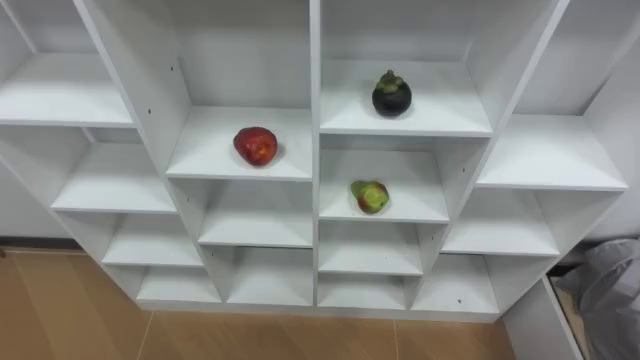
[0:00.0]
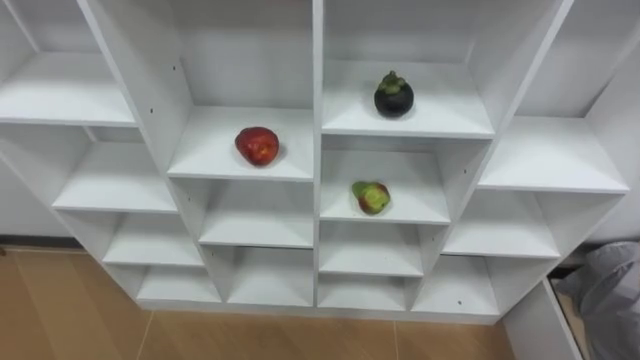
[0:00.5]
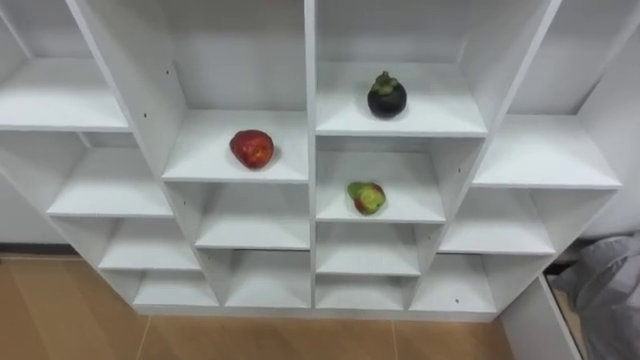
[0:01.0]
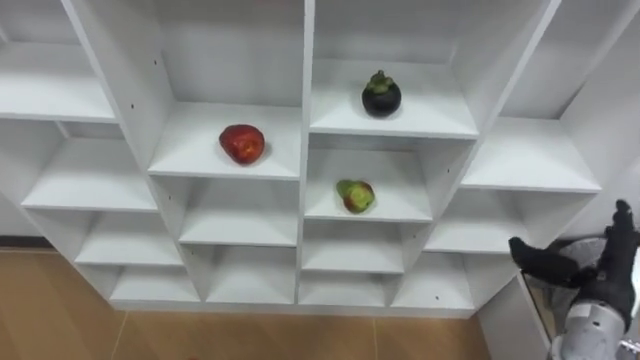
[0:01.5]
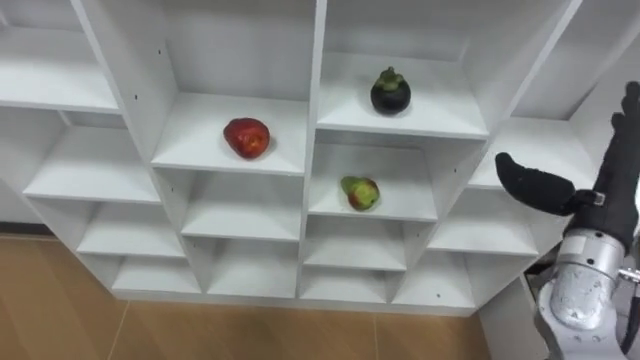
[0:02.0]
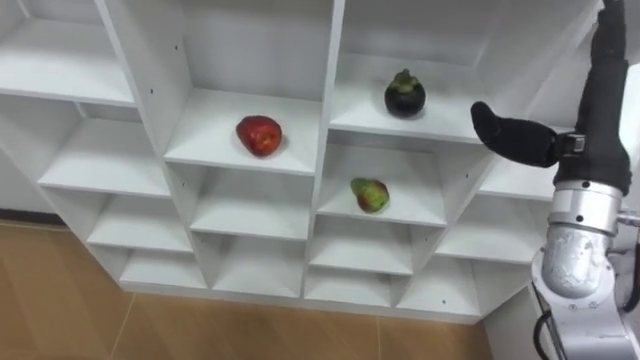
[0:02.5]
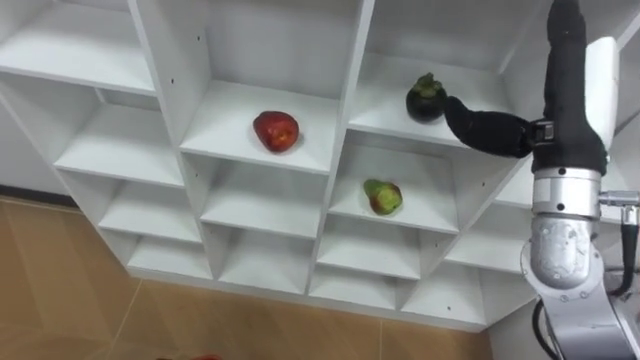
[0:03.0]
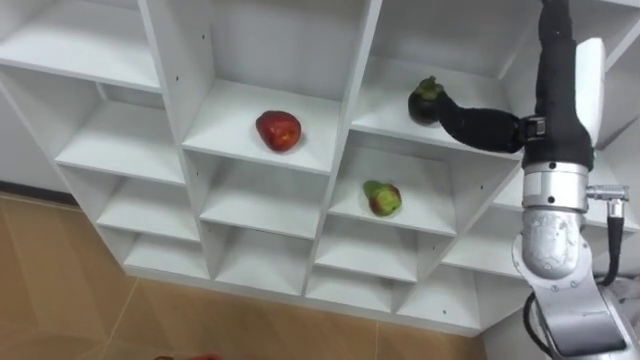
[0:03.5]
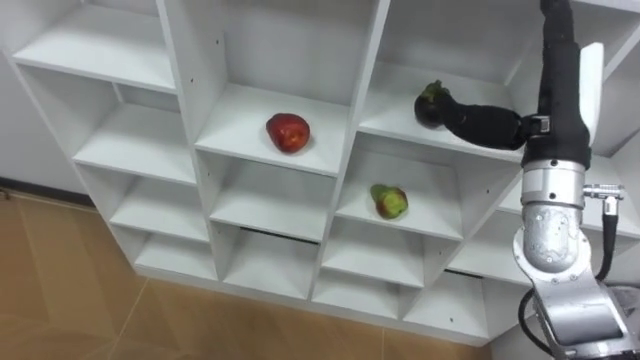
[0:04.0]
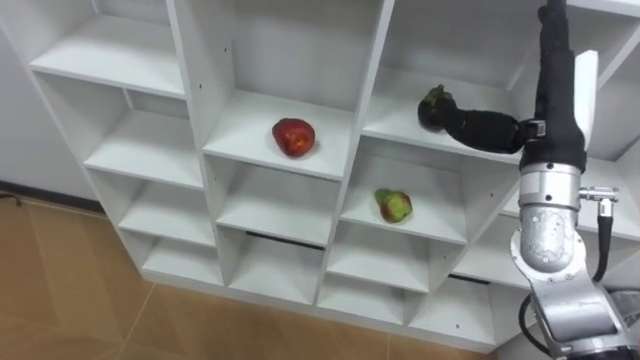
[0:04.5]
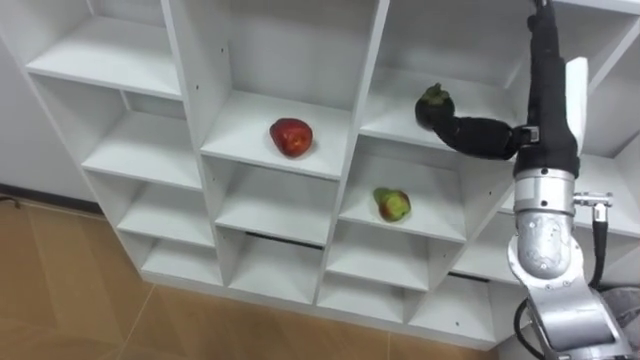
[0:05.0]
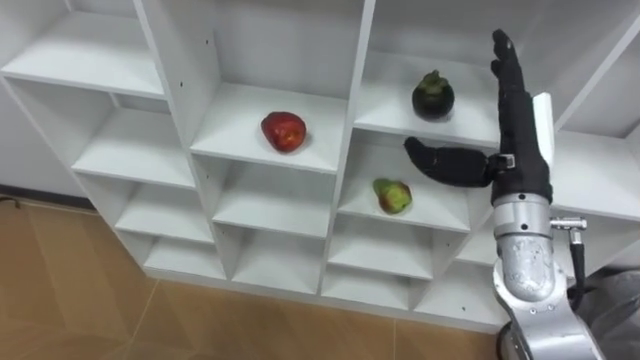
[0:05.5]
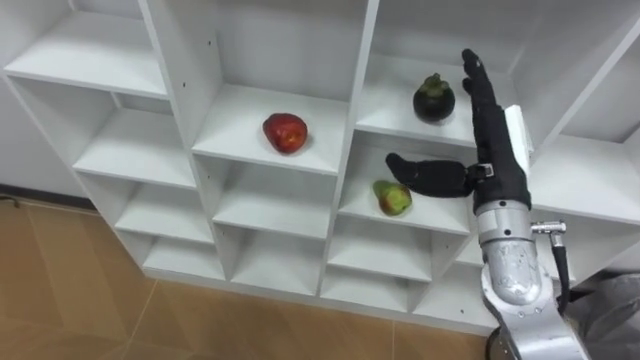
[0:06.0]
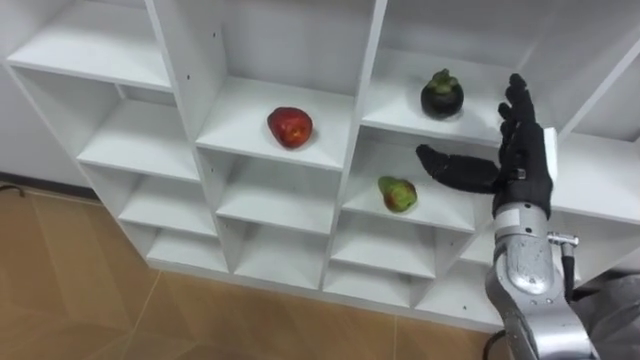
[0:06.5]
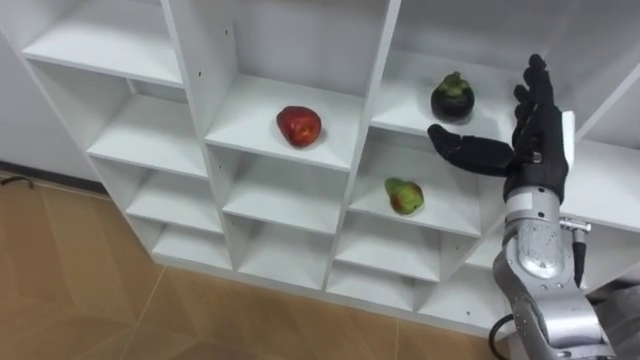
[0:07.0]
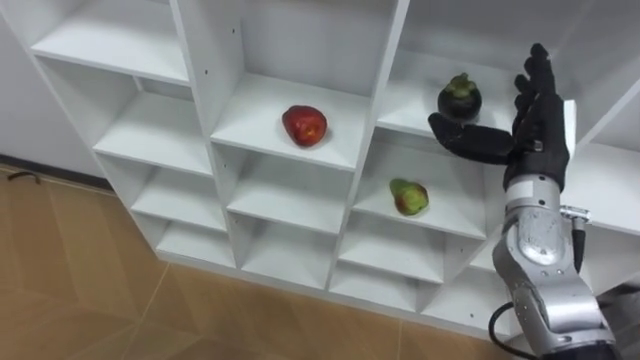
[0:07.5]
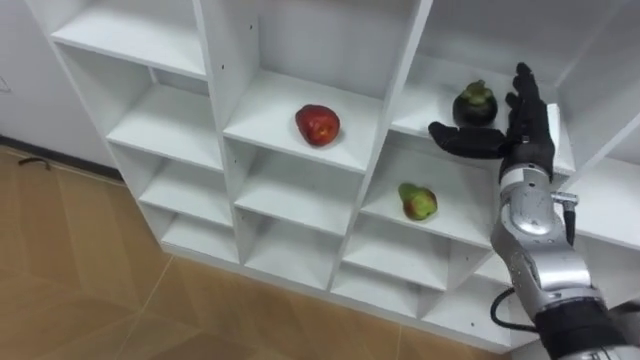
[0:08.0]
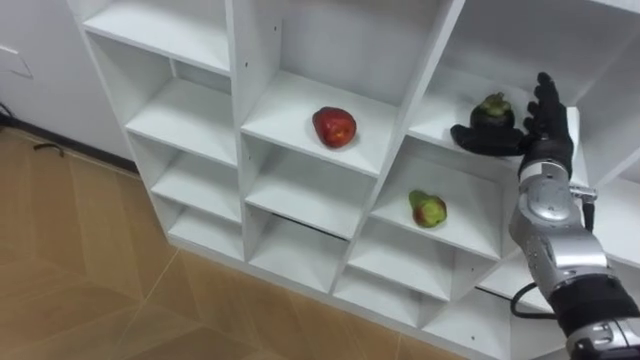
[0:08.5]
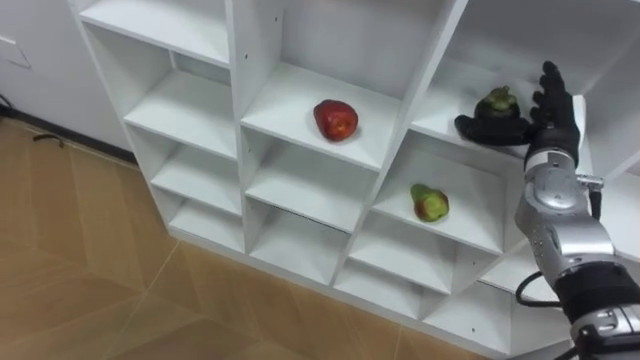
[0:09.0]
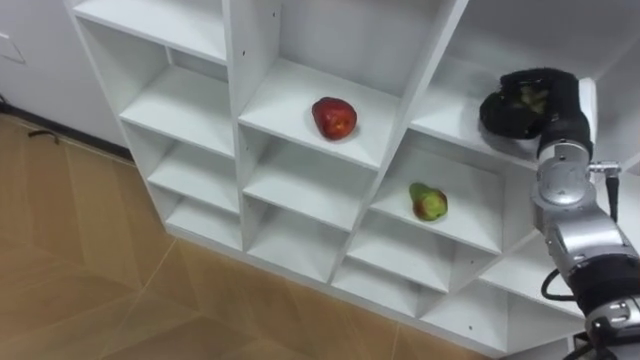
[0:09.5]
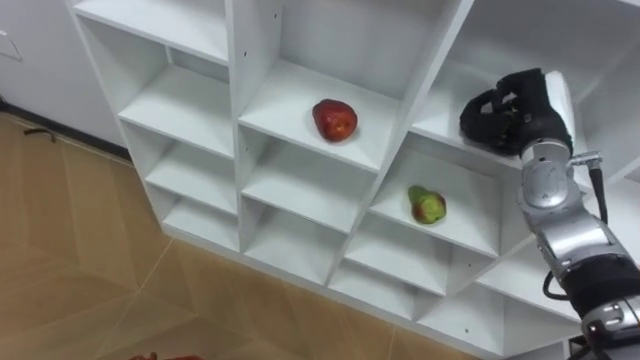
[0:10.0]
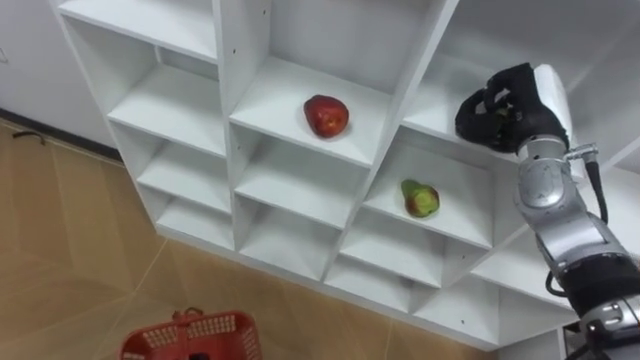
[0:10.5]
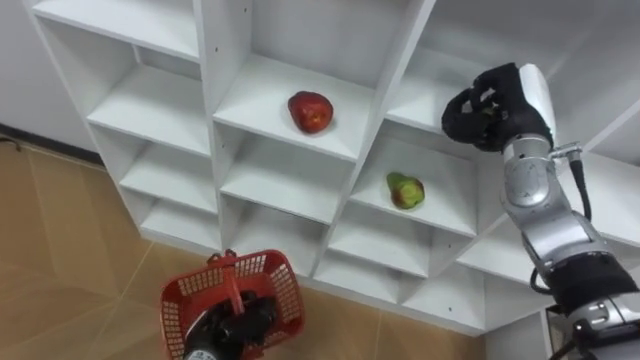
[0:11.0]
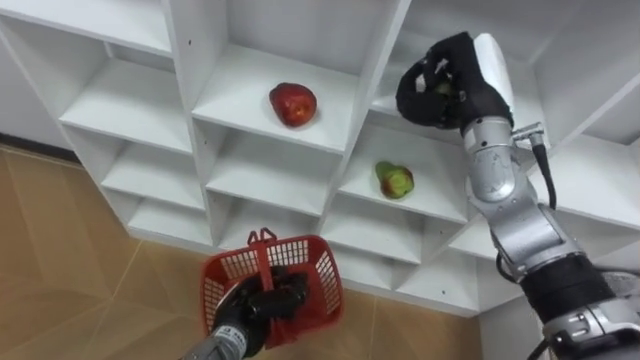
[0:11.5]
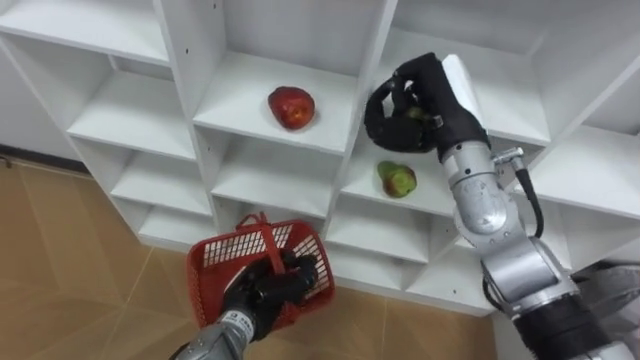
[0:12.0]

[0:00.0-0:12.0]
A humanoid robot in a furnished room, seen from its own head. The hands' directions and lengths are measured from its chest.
Task of the whole recording: Hold the basket and collect the fruits from 3 different cells of the closet into it.
0:02.0 to 0:04.0: The right hand moves upward, to the left and forward, roughly 10 cm.
0:04.0 to 0:06.0: The right hand is displaced downward by some 5 cm.
0:06.0 to 0:08.0: The right hand is displaced to the right and forward by some 10 cm.
0:08.0 to 0:10.0: The right hand closes up.
0:10.0 to 0:12.0: The right hand shifts roughly 10 cm to the left.

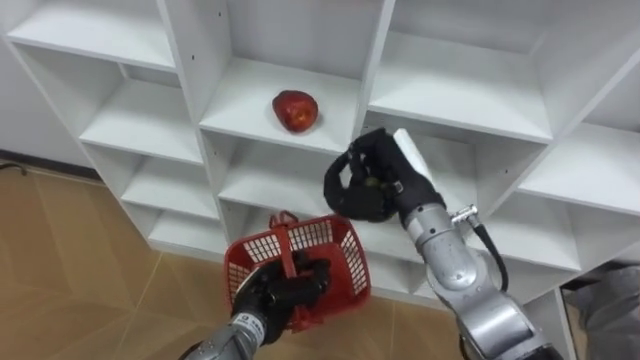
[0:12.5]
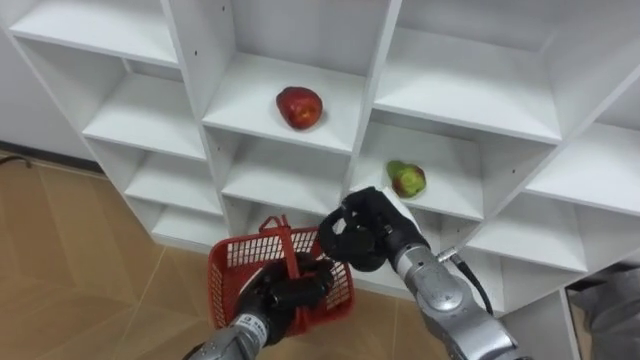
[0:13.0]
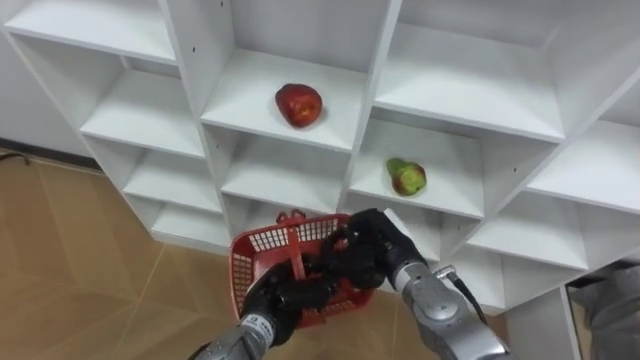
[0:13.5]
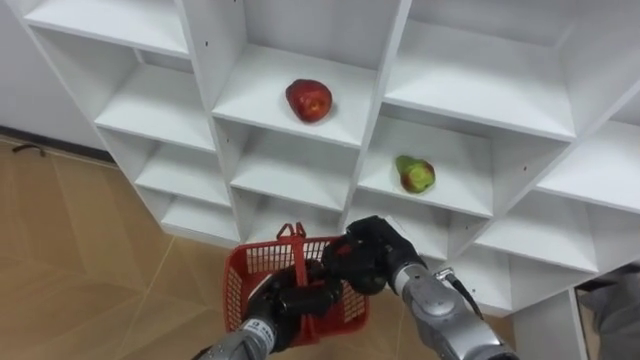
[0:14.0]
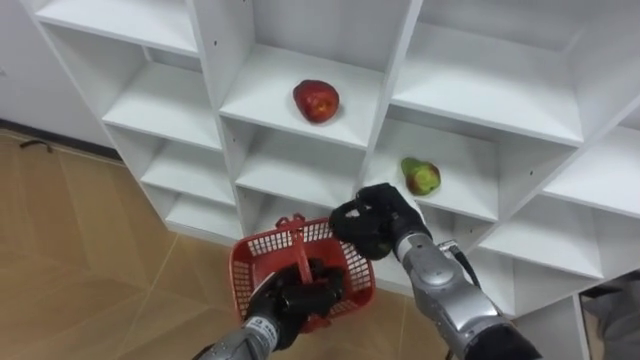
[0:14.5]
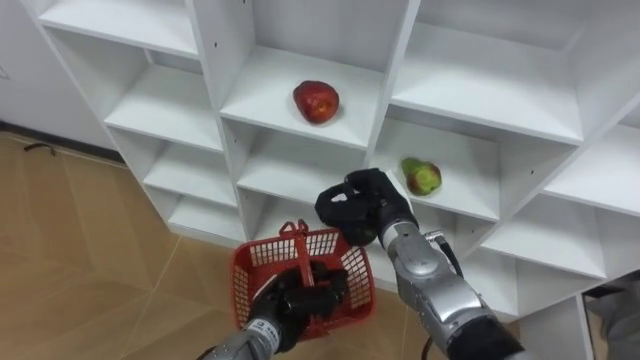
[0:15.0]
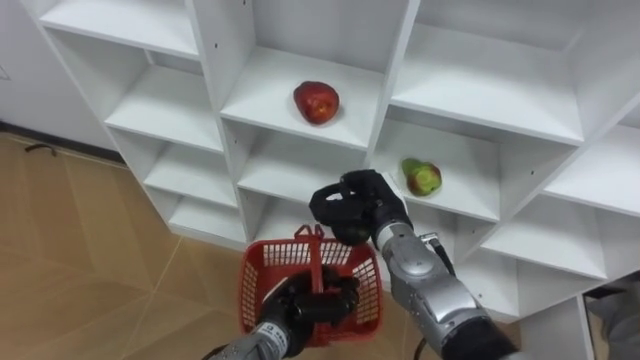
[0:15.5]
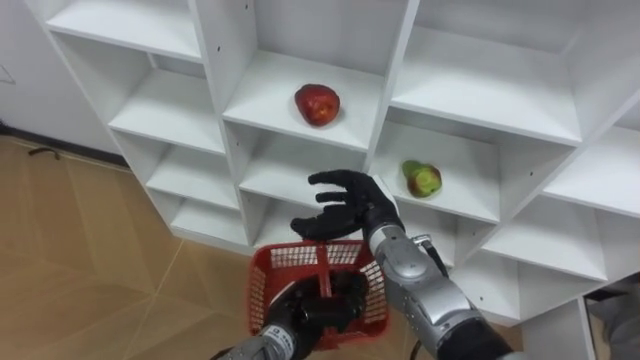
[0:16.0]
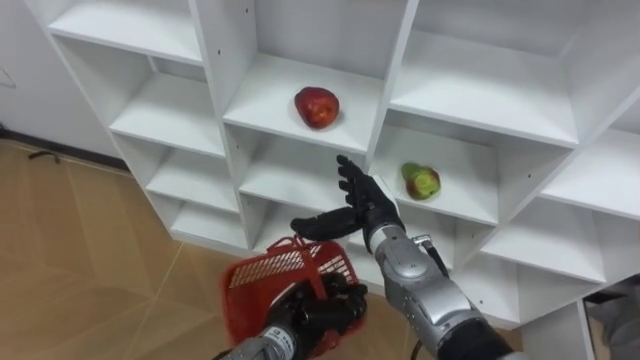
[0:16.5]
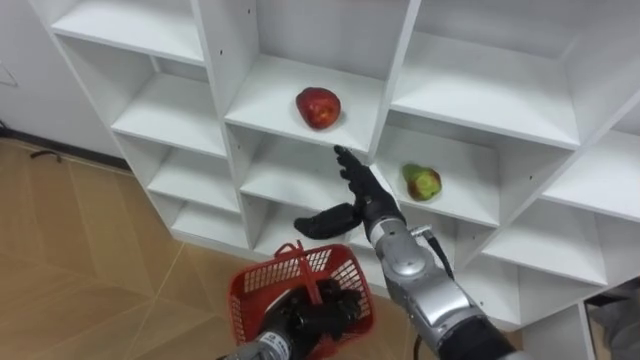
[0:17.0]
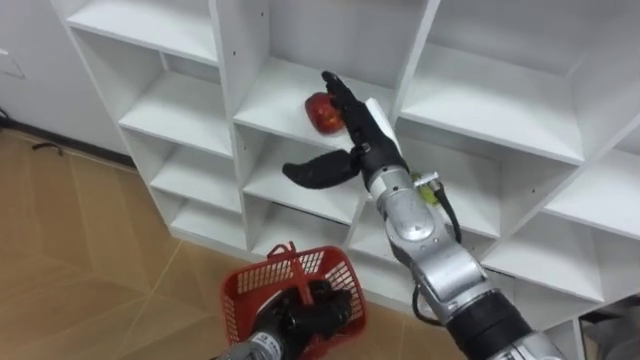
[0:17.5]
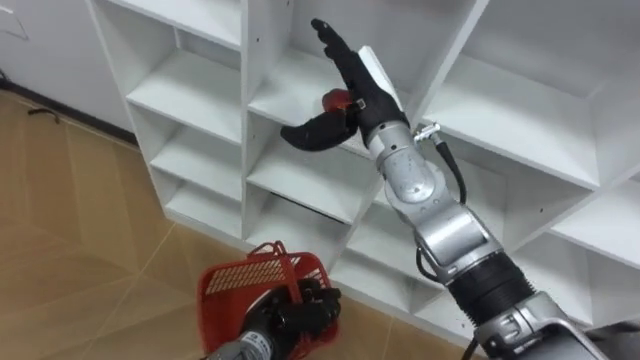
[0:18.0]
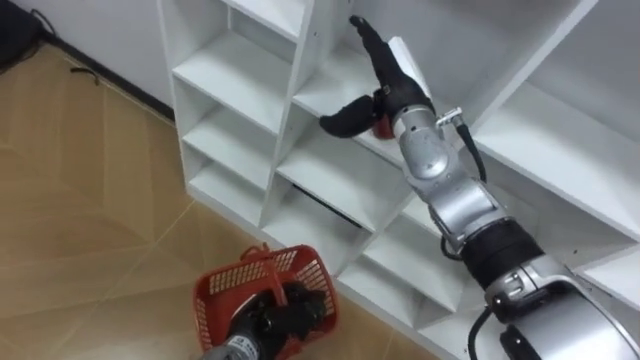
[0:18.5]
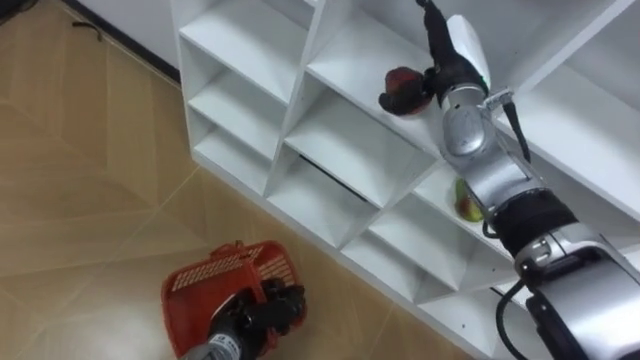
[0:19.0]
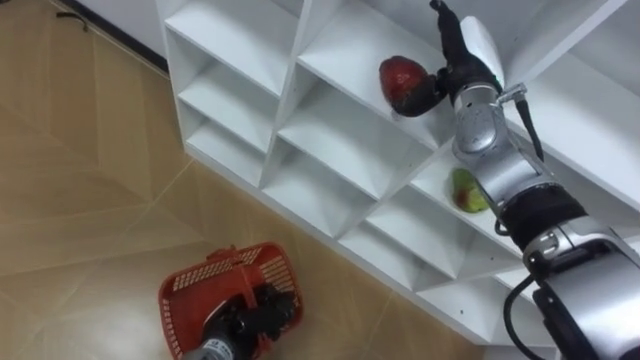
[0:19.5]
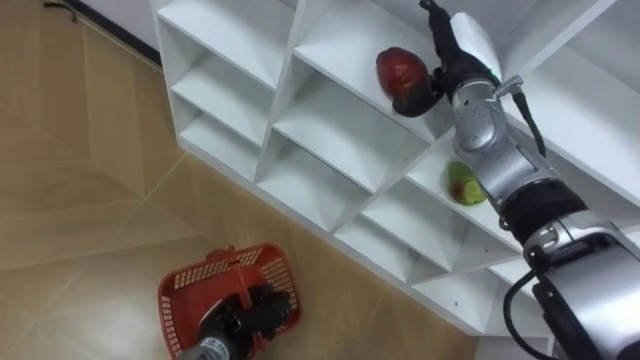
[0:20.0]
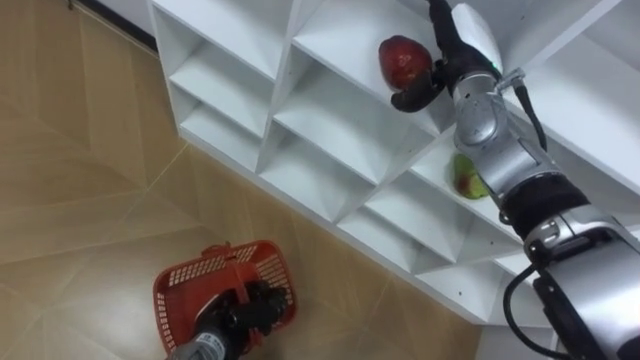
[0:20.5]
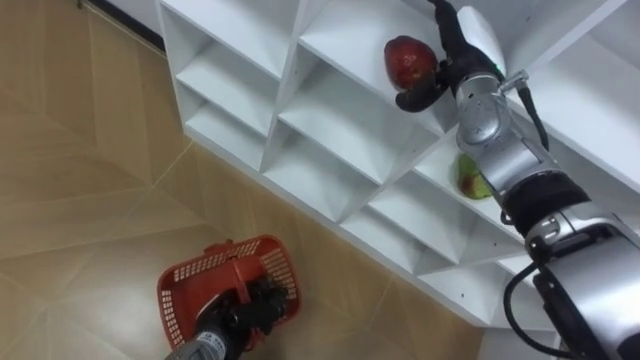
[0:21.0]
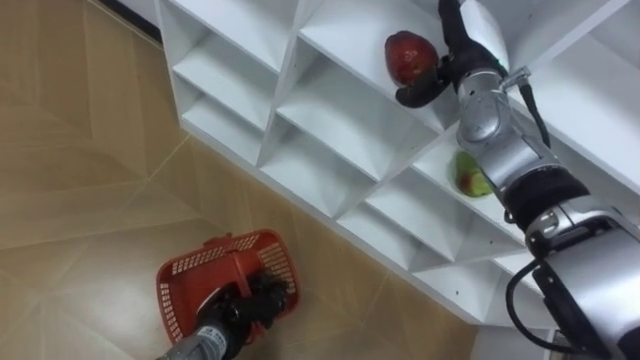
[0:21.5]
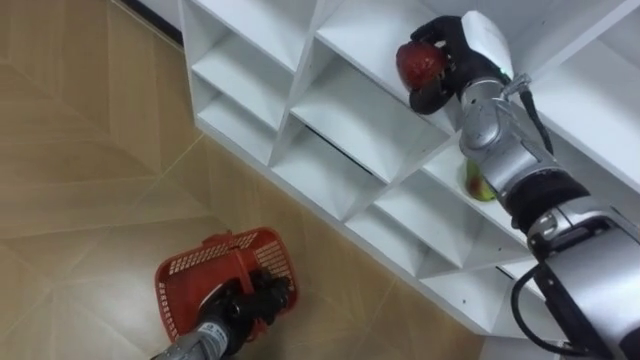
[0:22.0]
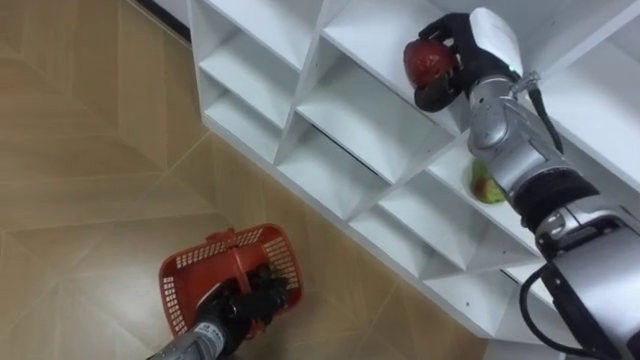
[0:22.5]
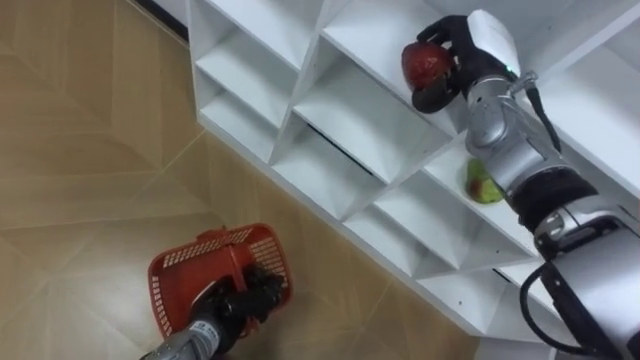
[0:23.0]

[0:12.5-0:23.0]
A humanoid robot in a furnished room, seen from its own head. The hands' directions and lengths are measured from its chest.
Task of the whole recording: Hold the basket and collect the fruits from 3 different cells of the closet into it.
0:12.5 to 0:14.5: The right hand is displaced downward by approximately 10 cm.
0:14.5 to 0:16.5: The right hand opens up.
0:16.5 to 0:19.0: The right hand heads upward, forward and to the right, covering about 20 cm, while the left hand heads to the left, covering about 10 cm.
0:21.0 to 0:23.0: The right hand closes its fingers.
